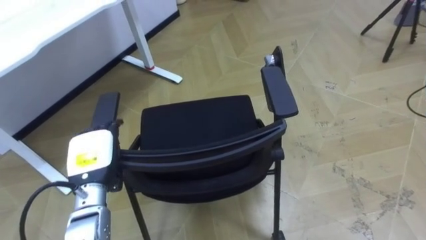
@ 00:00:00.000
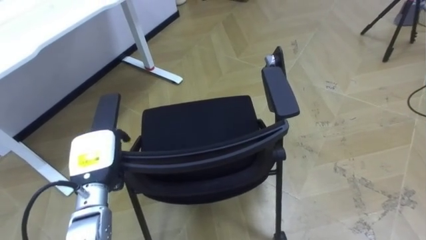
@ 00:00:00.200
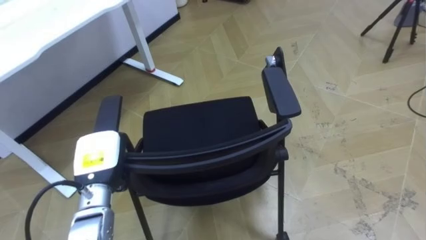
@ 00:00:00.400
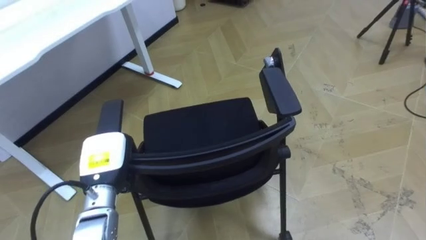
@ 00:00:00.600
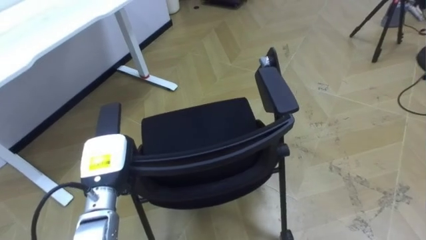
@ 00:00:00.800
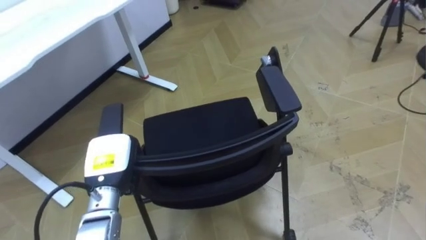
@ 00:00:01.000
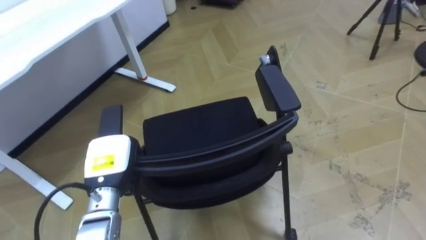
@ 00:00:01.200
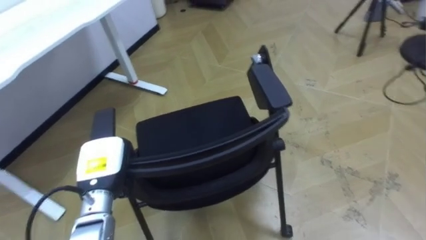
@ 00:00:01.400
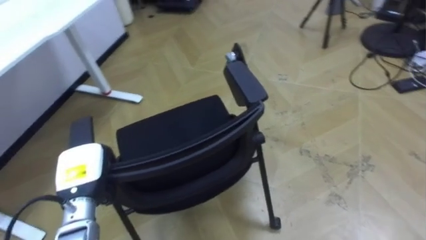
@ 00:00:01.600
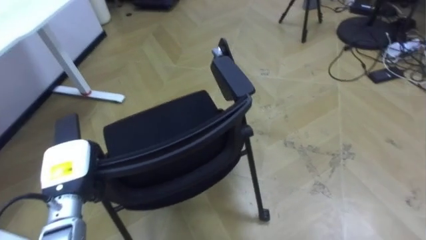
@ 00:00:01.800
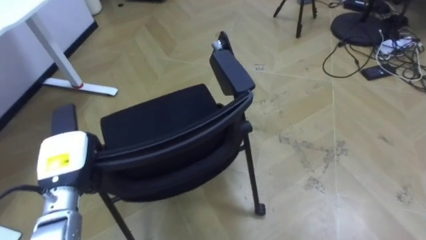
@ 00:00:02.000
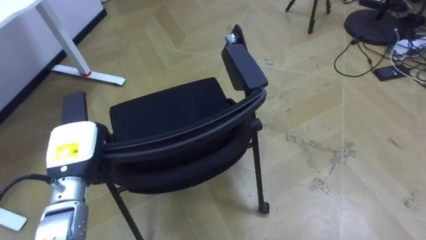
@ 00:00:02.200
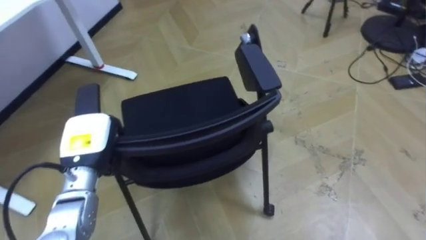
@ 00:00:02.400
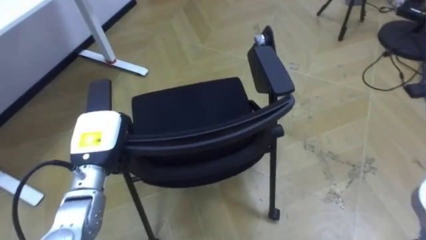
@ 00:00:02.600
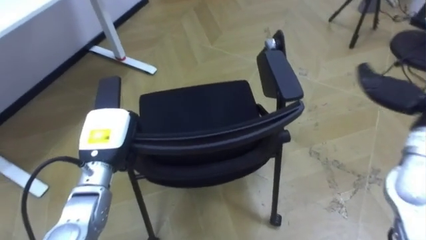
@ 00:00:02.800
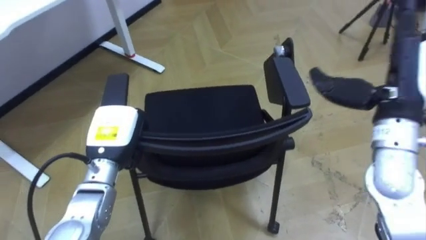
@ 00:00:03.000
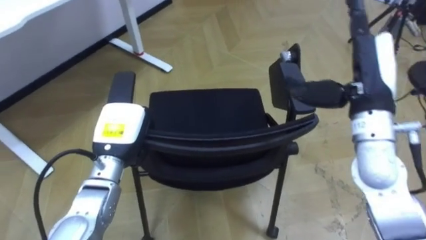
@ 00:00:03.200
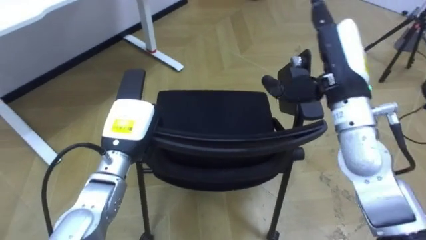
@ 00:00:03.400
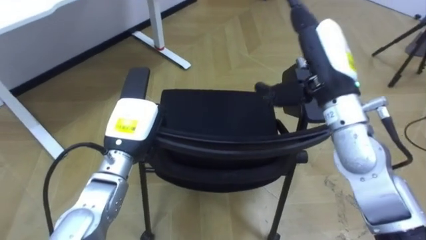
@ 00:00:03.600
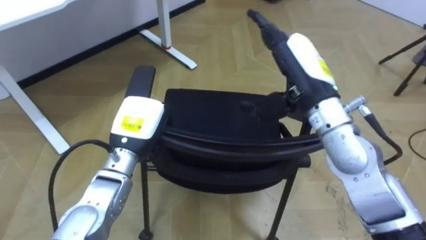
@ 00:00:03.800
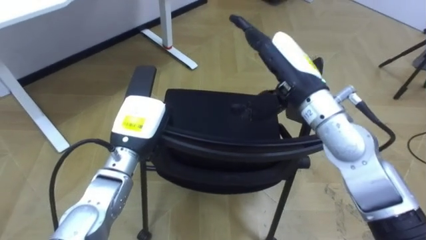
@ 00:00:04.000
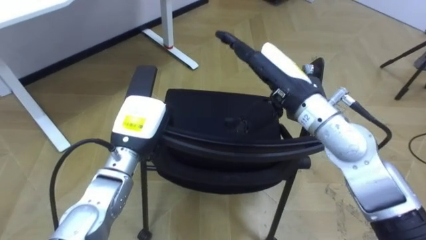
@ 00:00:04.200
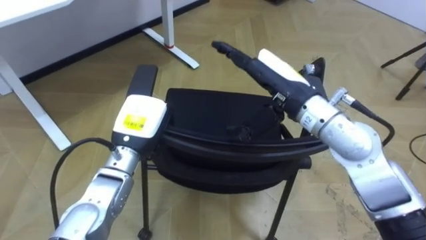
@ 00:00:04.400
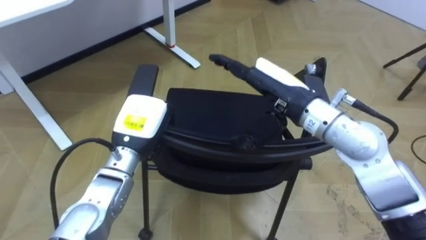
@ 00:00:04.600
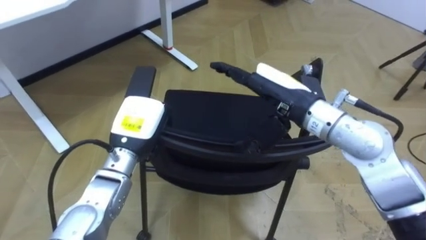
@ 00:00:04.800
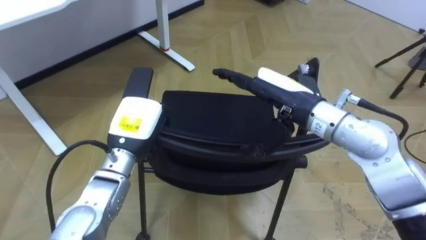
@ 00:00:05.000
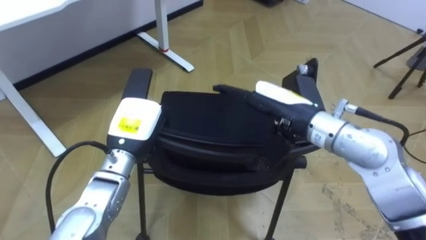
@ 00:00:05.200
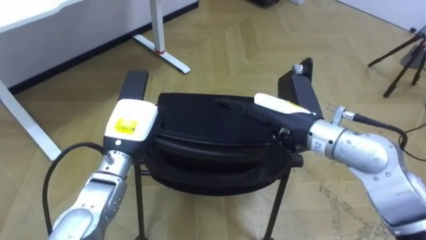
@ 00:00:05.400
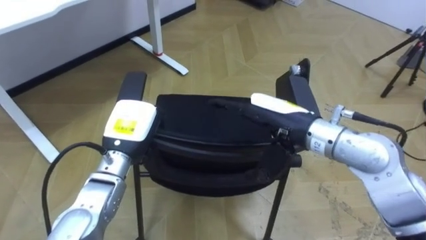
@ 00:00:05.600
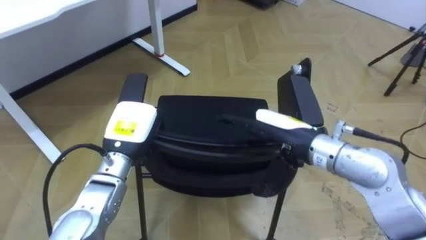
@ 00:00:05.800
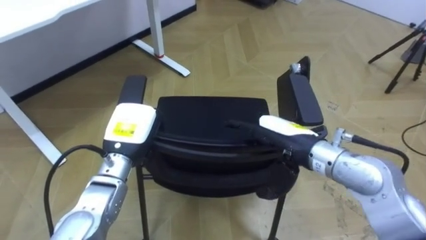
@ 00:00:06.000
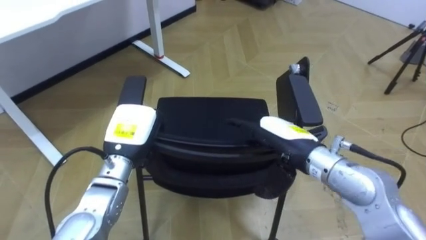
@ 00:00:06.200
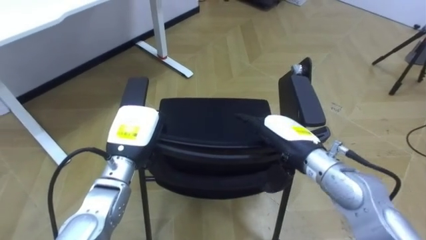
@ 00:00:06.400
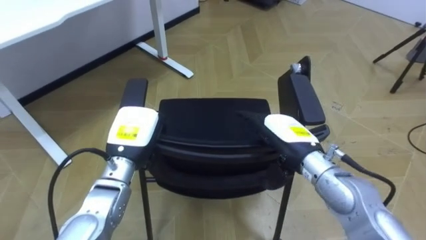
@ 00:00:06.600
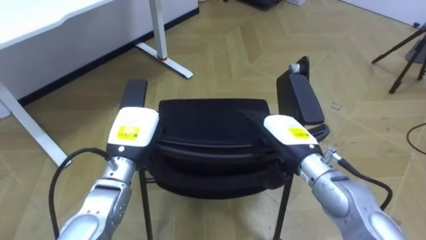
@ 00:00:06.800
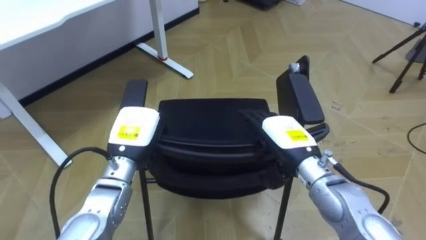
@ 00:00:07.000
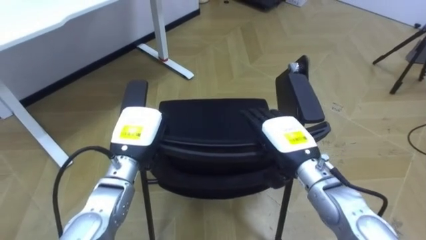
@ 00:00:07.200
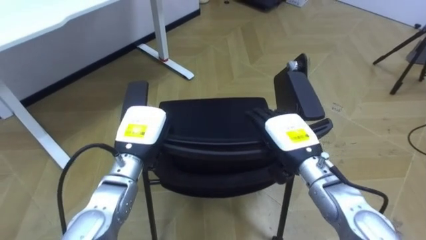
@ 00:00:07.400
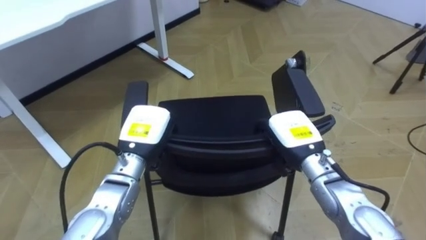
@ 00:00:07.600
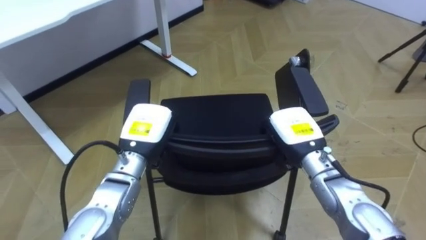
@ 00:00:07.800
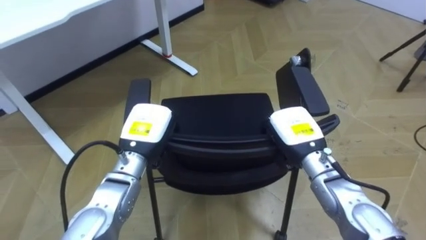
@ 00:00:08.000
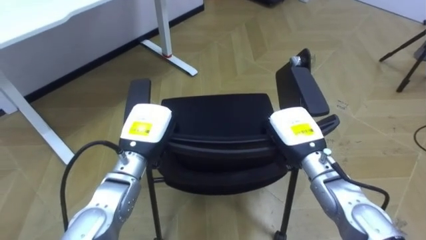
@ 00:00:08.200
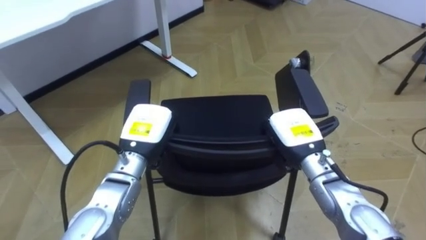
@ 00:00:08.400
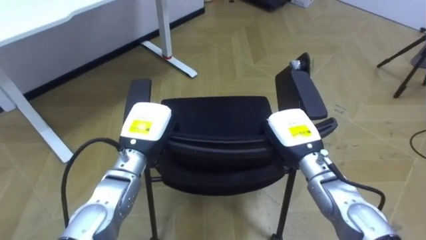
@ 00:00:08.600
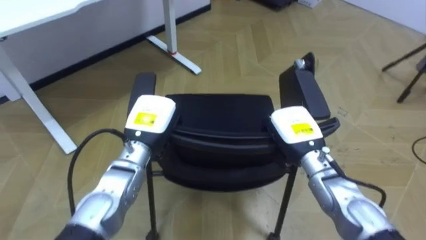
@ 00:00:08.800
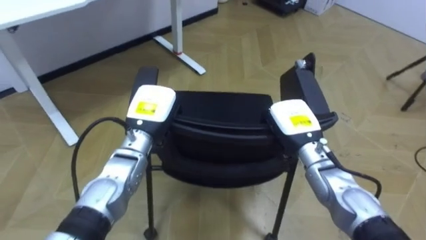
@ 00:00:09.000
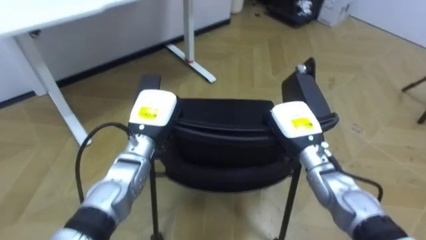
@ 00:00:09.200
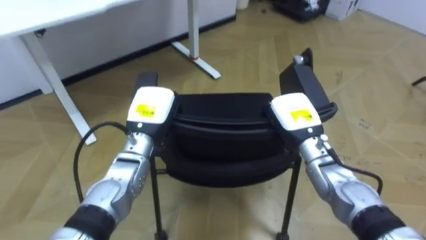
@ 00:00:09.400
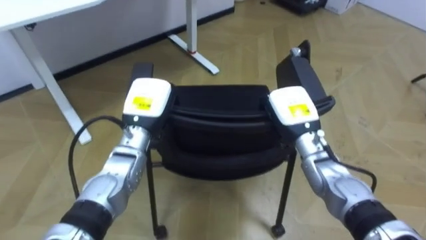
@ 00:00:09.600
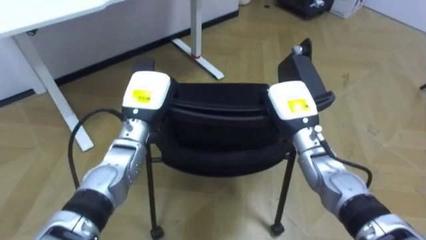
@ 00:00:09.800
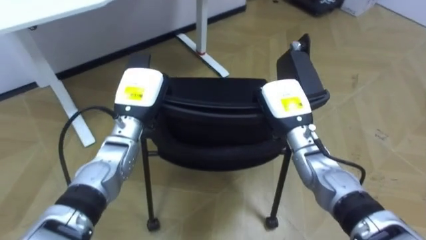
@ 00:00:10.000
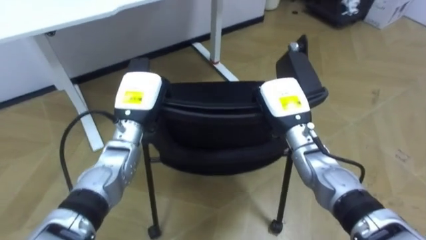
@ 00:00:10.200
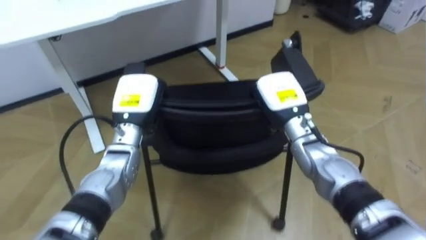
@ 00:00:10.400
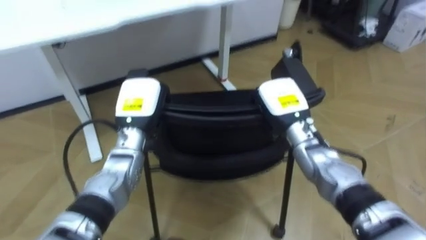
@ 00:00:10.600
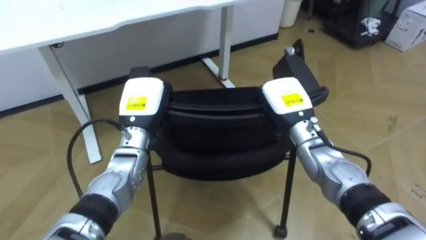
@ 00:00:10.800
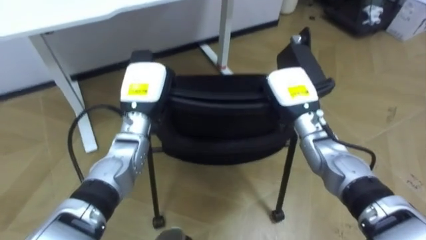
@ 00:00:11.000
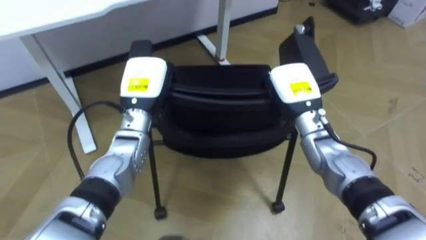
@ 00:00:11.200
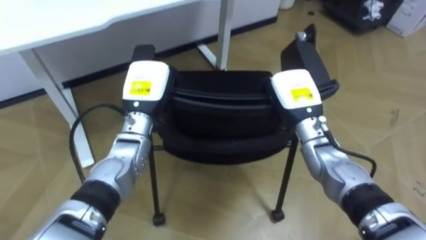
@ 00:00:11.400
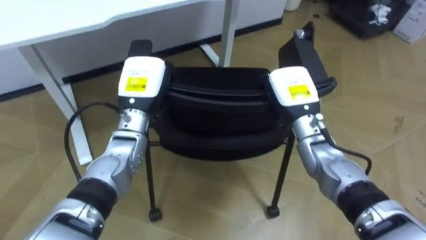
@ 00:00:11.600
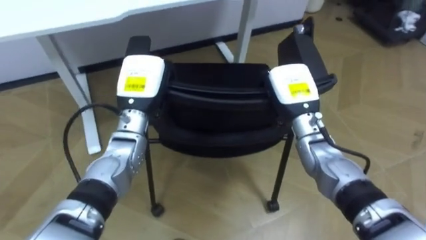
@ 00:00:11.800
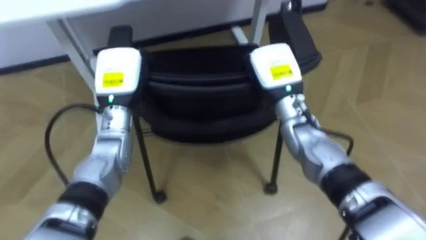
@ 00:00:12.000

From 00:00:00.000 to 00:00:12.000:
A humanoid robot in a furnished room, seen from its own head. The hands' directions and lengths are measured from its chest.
Task of the whole recording: Push the chair under the table.
From 00:00:00.000 to 00:00:01.600: The left hand closes up.
From 00:00:01.600 to 00:00:03.000: The left hand moves forward, roughly 5 cm.
From 00:00:03.000 to 00:00:04.400: The right hand heads to the left, covering about 15 cm; the left hand shifts by some 5 cm.
From 00:00:04.400 to 00:00:06.000: The right hand shifts approximately 10 cm downward and backward.
From 00:00:06.000 to 00:00:07.600: The right hand is displaced downward by some 5 cm.
From 00:00:09.000 to 00:00:10.400: The right hand changes place by roughly 5 cm.
From 00:00:10.400 to 00:00:12.000: The right hand shifts by about 5 cm.

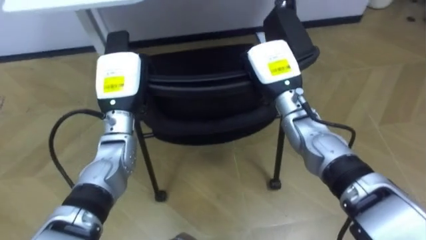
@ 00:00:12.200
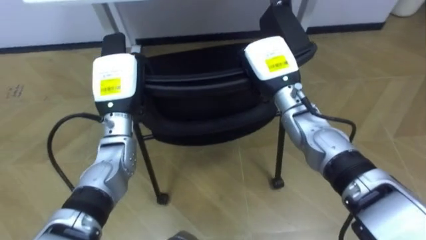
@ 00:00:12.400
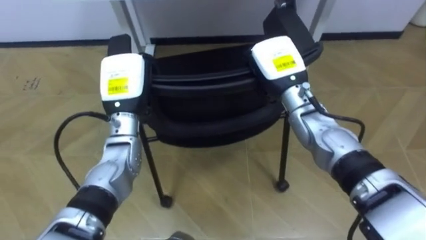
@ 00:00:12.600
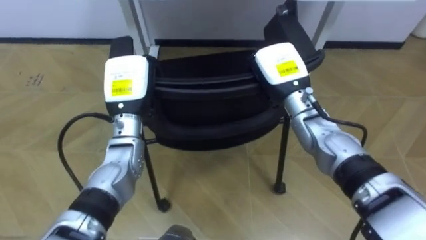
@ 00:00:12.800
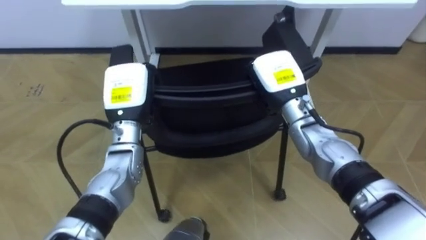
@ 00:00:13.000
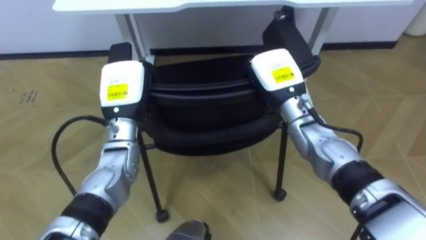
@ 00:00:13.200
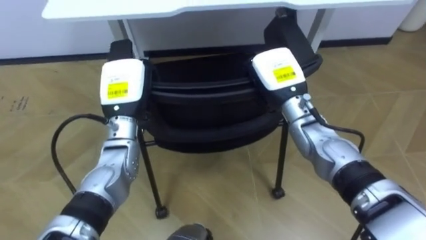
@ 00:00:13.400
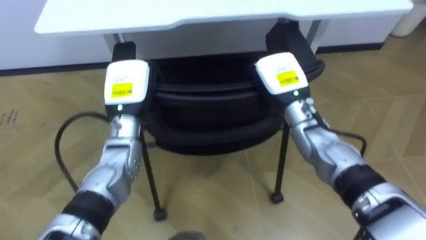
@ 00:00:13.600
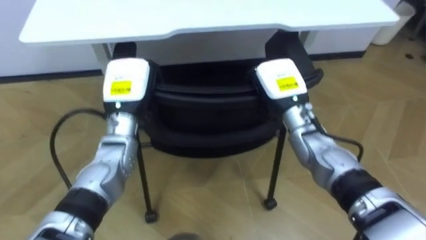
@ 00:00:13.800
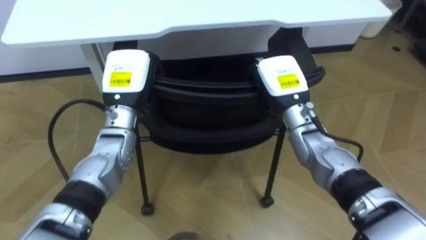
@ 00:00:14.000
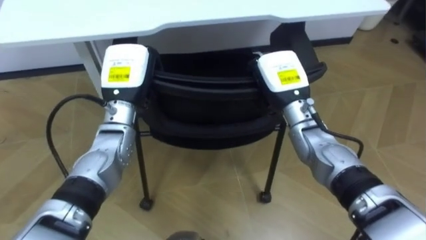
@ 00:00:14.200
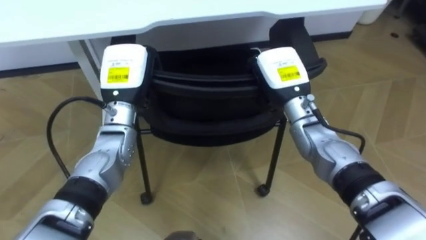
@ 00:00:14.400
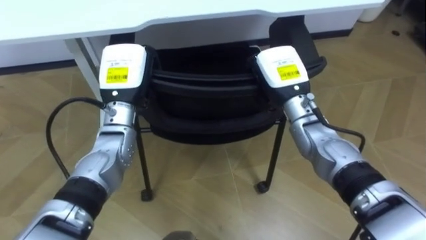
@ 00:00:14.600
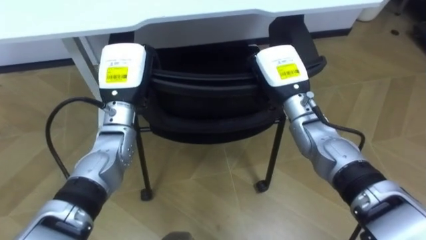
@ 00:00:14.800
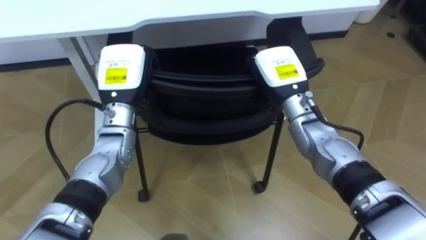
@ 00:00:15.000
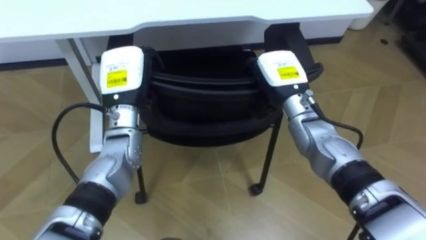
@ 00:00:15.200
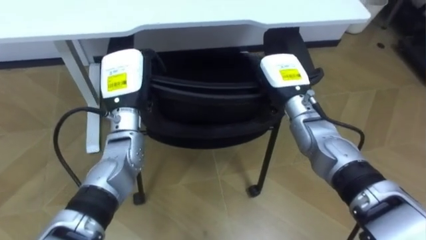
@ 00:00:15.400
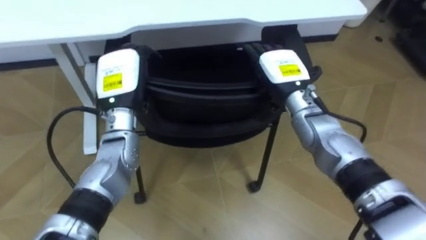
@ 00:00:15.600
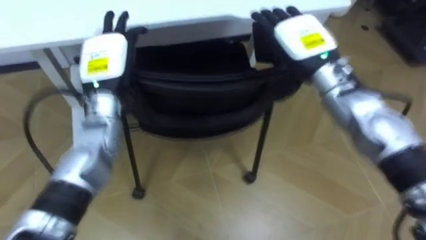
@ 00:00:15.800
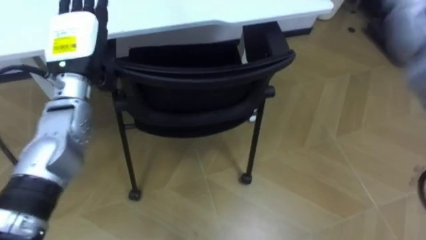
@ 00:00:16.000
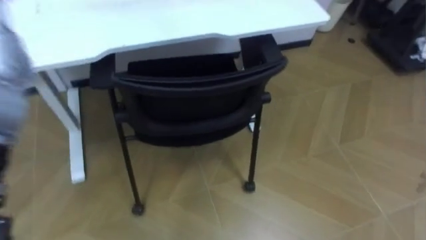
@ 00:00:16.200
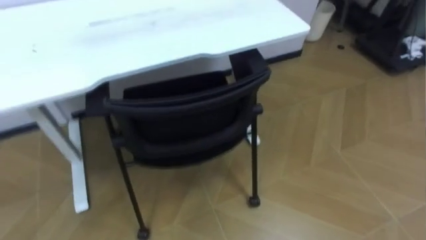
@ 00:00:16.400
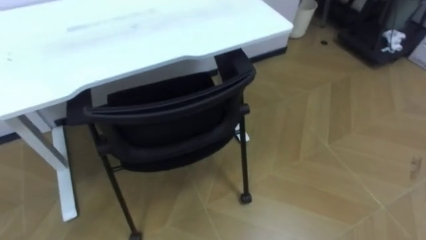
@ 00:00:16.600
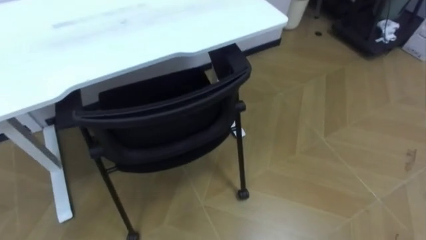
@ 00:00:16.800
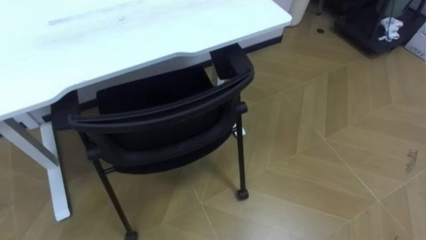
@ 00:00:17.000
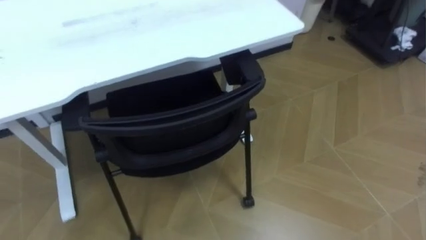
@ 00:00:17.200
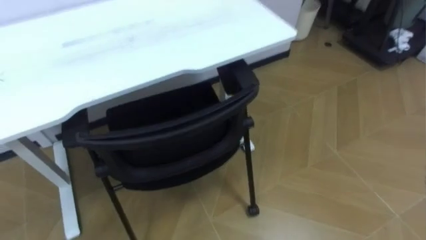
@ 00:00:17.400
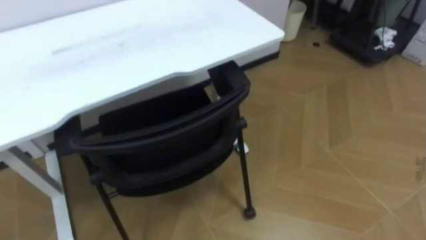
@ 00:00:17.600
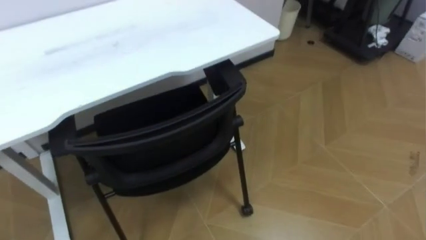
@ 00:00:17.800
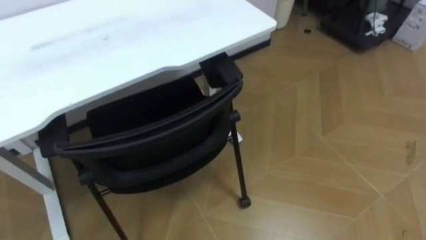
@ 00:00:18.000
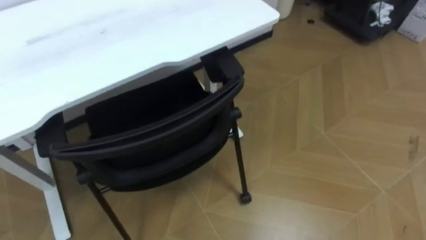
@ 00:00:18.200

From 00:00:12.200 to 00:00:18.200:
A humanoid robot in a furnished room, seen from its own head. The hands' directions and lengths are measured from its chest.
Task of the whole recording: Push the chair under the table.
From 00:00:13.800 to 00:00:15.200: The right hand opens up.
